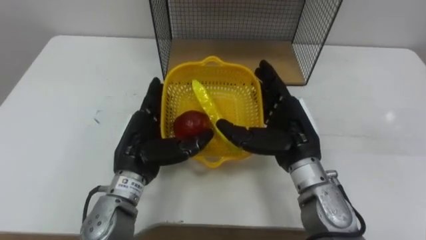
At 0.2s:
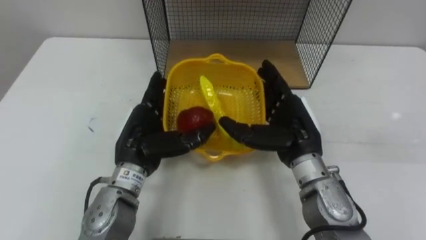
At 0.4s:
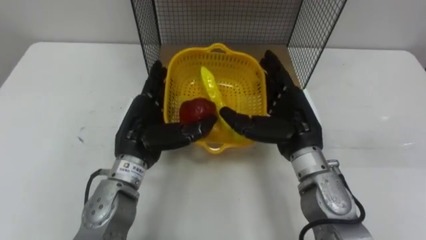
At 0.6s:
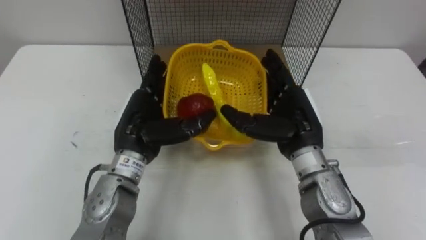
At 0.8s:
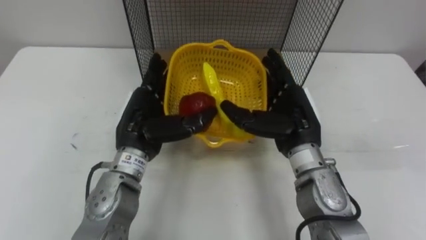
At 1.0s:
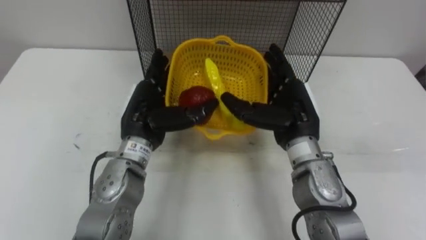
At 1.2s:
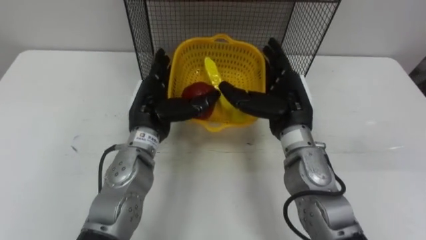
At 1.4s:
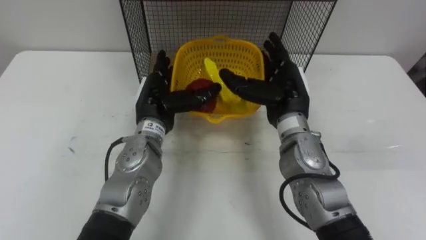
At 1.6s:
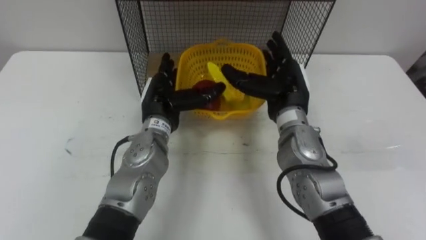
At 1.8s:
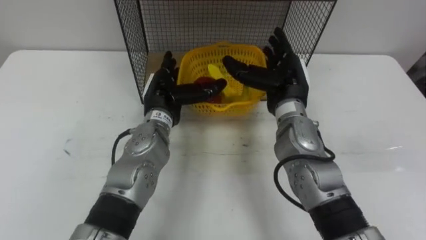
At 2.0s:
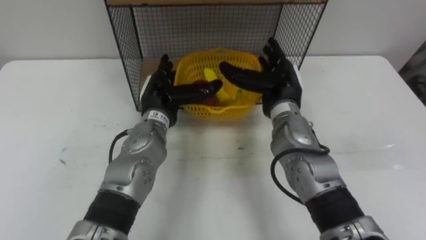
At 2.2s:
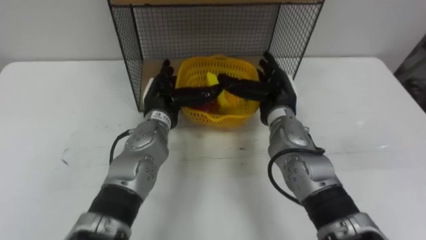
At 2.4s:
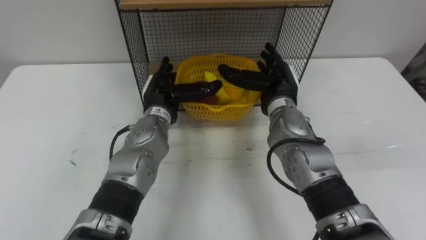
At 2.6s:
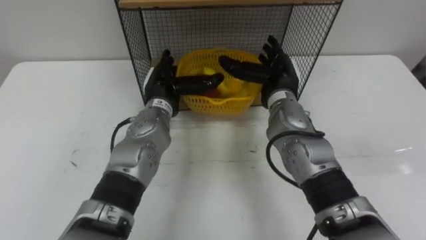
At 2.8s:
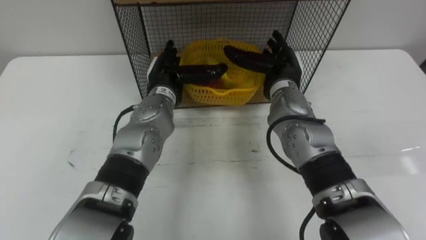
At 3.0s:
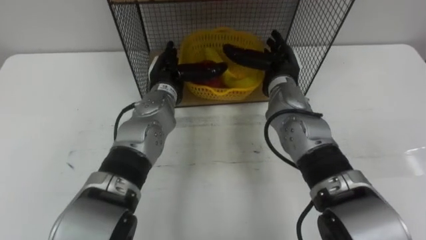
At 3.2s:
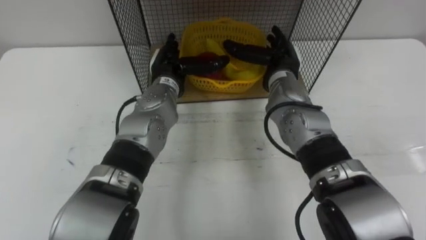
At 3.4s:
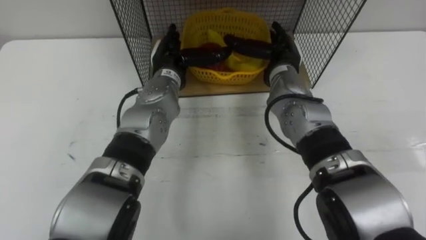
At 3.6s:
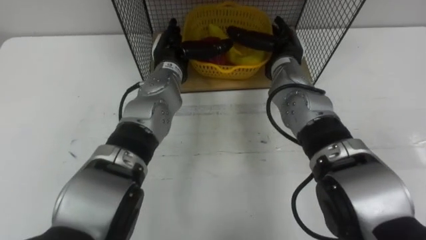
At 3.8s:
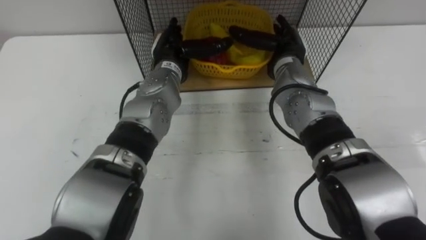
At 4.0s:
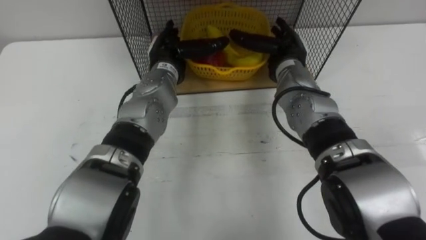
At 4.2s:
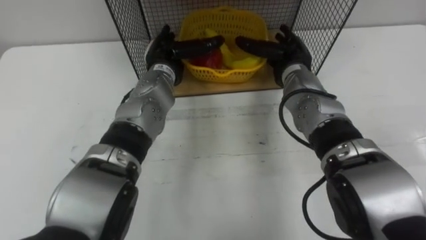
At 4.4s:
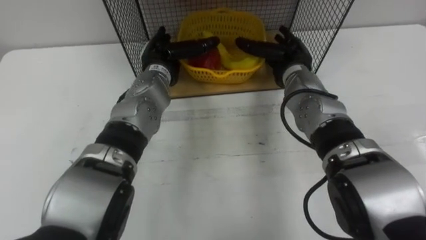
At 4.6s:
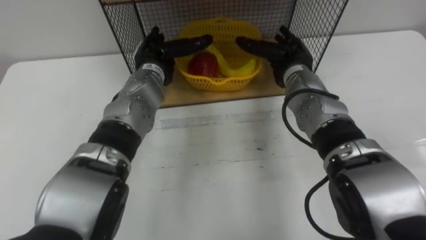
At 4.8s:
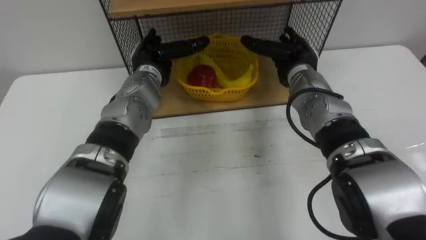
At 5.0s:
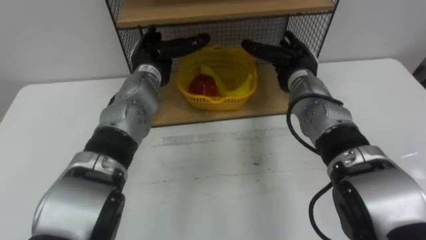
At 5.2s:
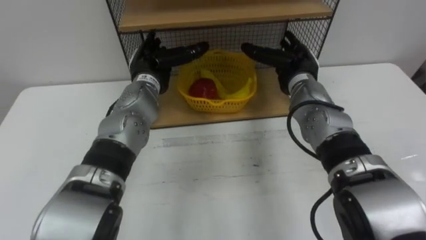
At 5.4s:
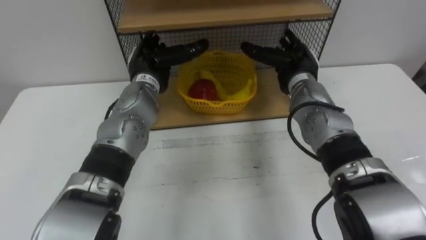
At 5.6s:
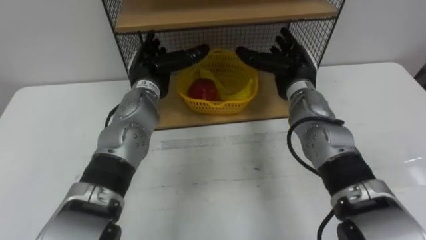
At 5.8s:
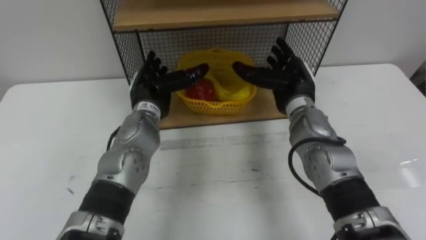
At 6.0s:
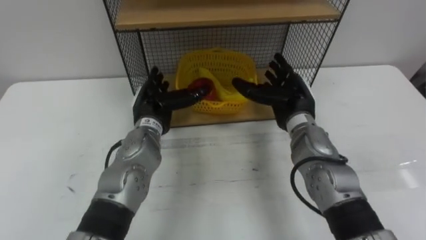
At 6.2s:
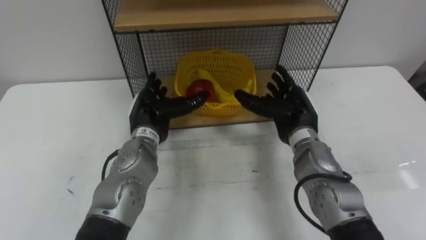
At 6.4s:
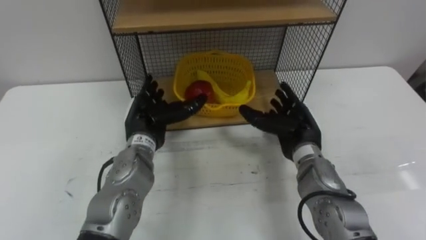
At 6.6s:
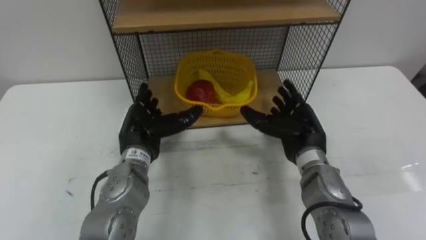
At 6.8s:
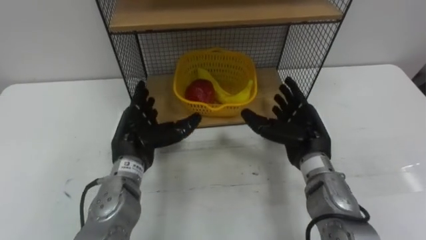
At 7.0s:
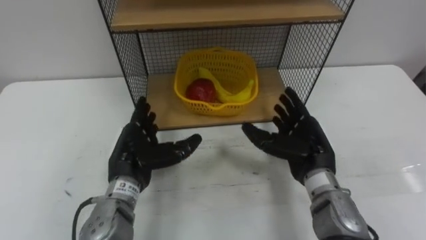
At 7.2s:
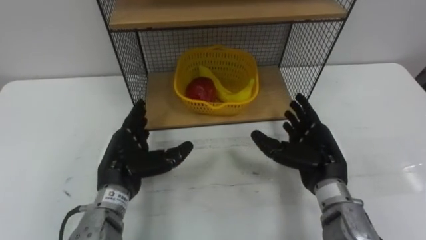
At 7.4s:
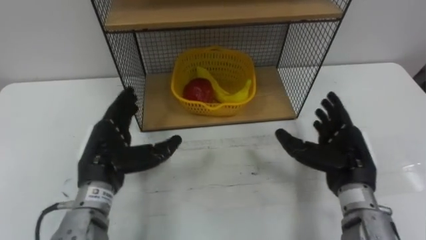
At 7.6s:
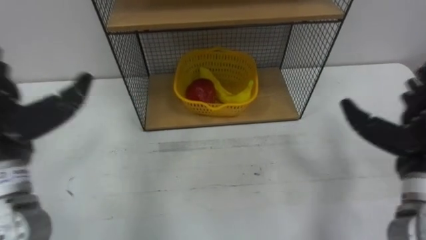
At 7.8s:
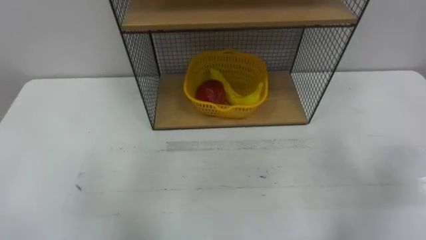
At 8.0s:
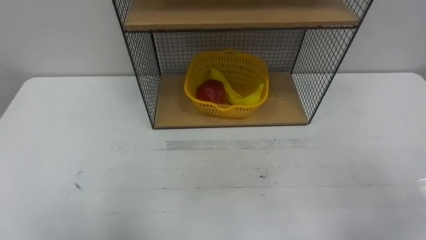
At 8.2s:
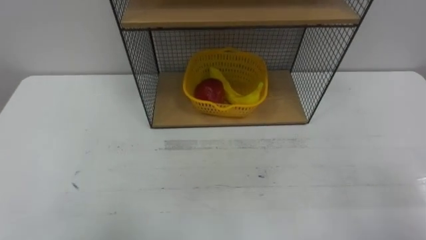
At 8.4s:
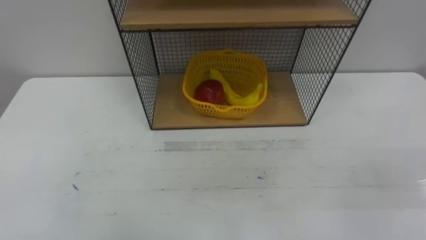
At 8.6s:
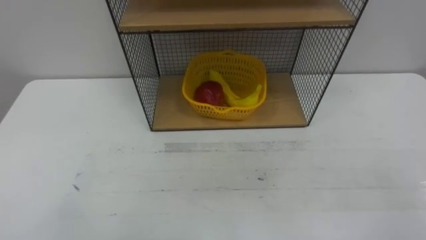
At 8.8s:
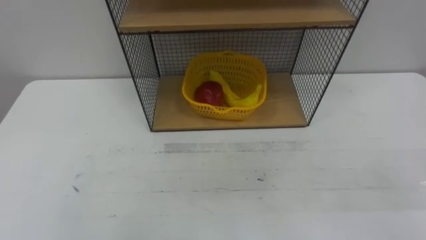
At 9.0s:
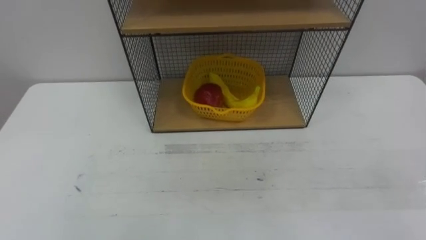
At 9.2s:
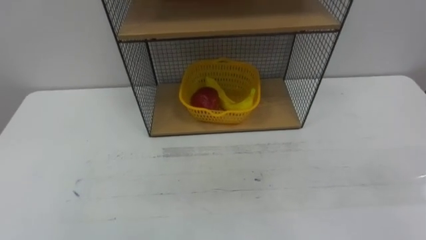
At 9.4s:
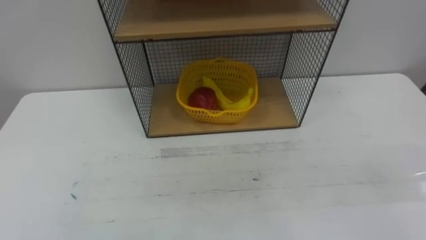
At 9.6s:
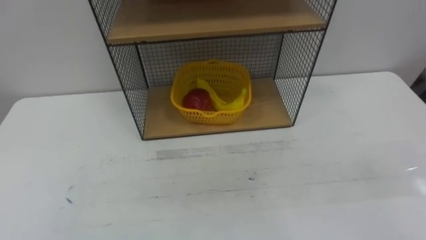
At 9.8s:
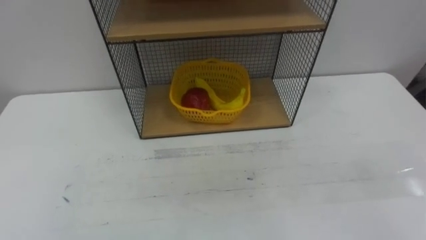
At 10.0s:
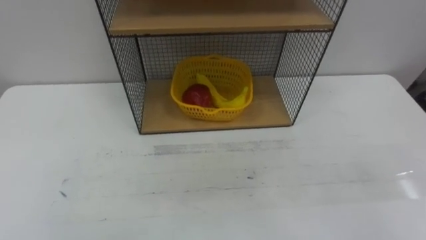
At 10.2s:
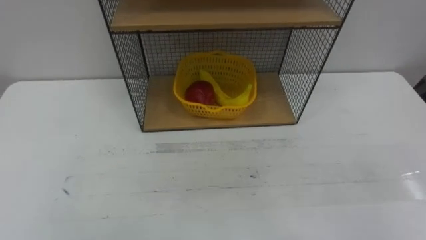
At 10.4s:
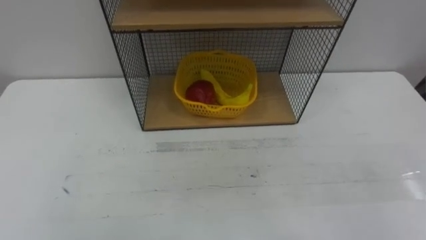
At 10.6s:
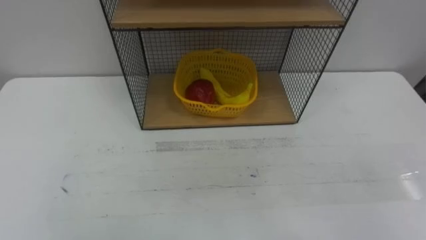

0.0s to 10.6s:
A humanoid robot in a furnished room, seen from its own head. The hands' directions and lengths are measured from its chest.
Task of the whole recording: Put the fruit on the table into the basket, then place the basket on the shelf.
0.0s to 1.6s: Both hands move forward, about 10 cm.
1.6s to 3.0s: The hands both shift forward by roughly 5 cm.
4.6s to 6.0s: The left hand travels backward and downward by some 10 cm; the right hand moves backward, about 5 cm.
6.0s to 7.6s: The right hand goes roughly 20 cm to the right and backward. Meanwhile the left hand heads to the left, backward and upward, covering approximately 25 cm.

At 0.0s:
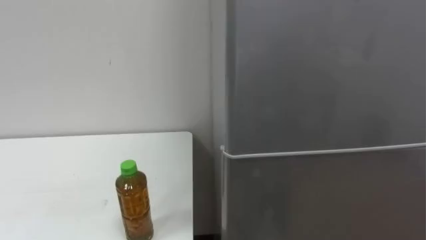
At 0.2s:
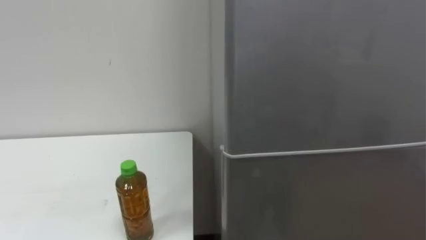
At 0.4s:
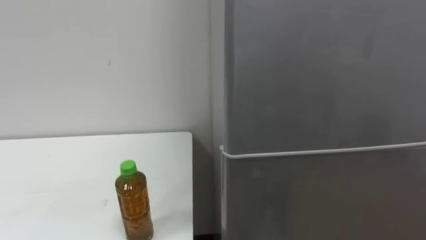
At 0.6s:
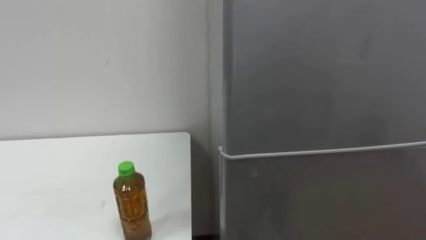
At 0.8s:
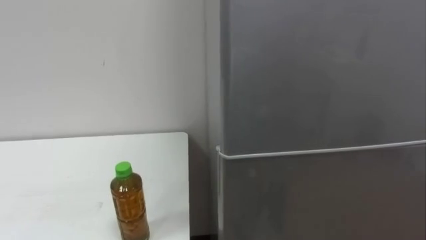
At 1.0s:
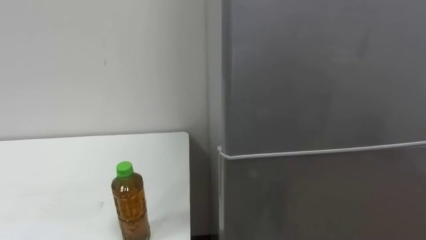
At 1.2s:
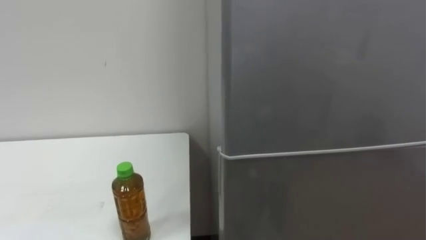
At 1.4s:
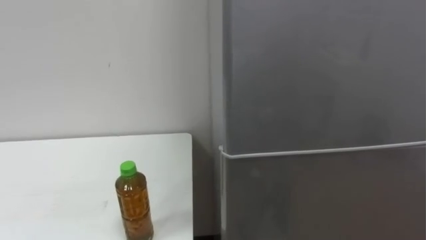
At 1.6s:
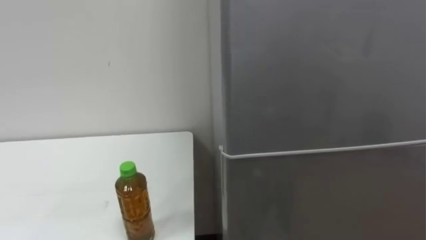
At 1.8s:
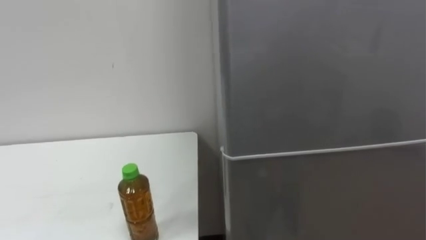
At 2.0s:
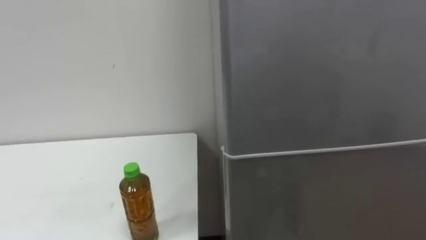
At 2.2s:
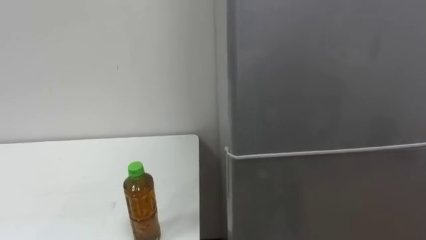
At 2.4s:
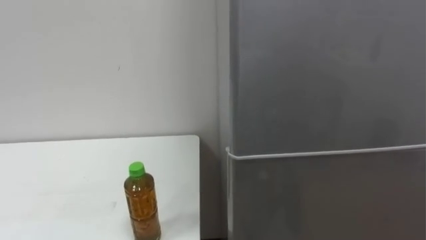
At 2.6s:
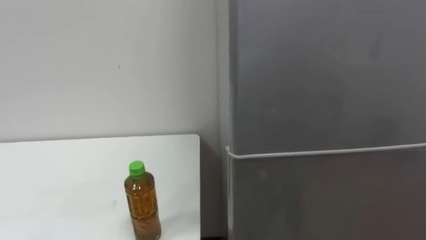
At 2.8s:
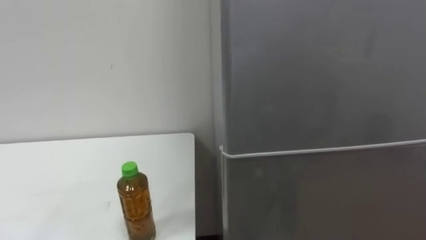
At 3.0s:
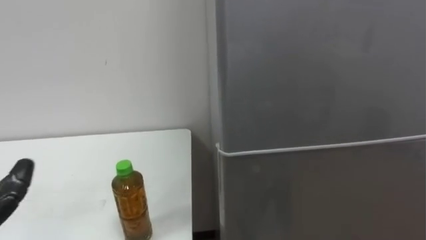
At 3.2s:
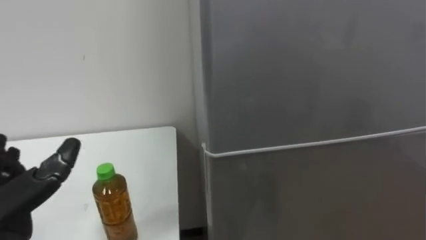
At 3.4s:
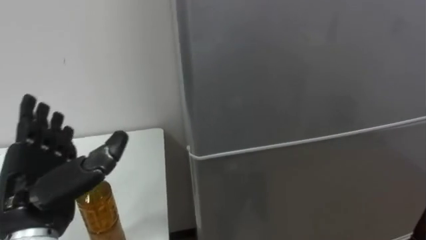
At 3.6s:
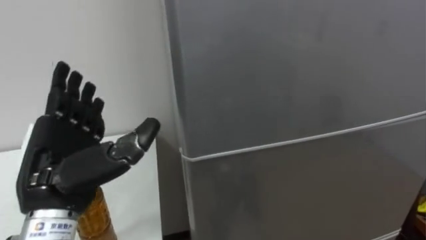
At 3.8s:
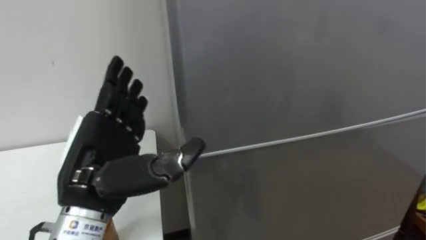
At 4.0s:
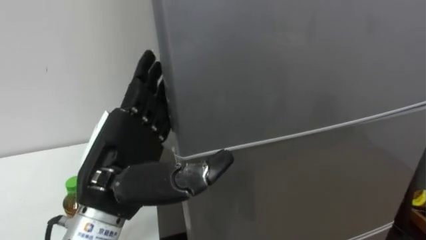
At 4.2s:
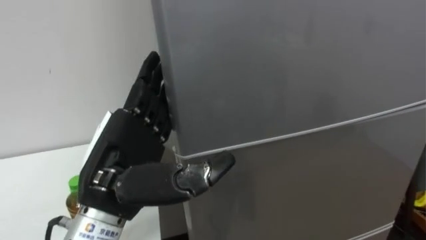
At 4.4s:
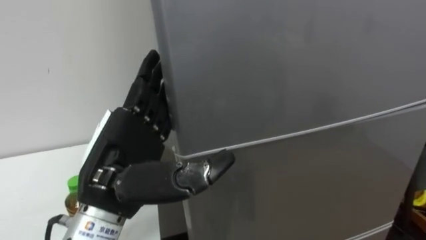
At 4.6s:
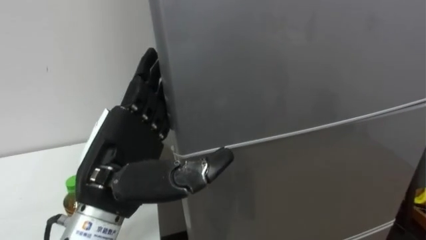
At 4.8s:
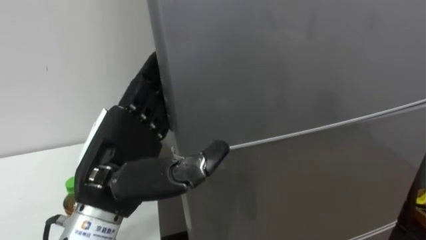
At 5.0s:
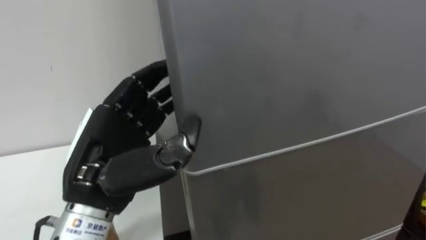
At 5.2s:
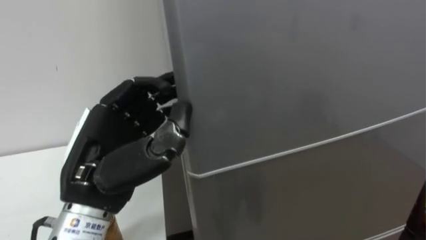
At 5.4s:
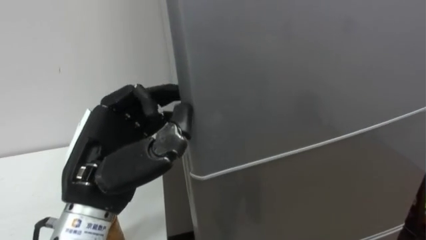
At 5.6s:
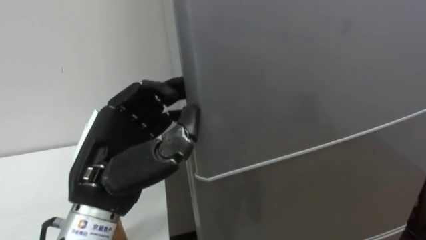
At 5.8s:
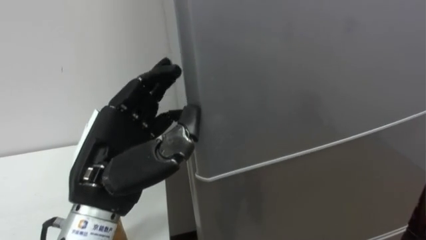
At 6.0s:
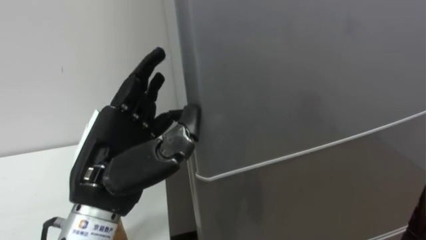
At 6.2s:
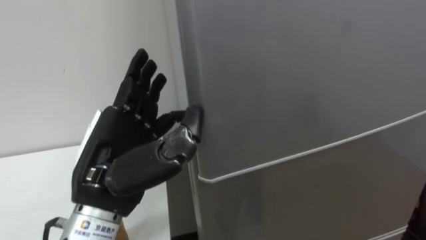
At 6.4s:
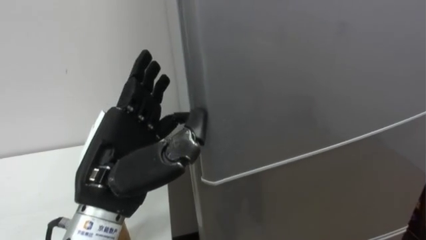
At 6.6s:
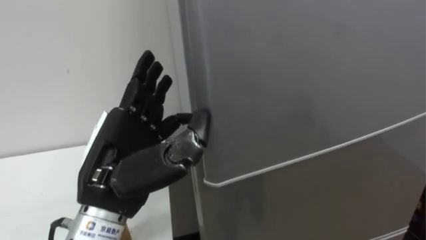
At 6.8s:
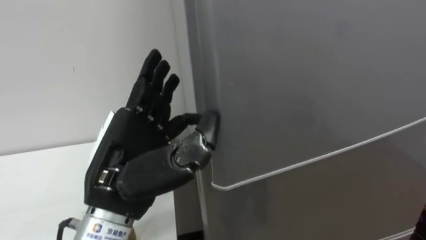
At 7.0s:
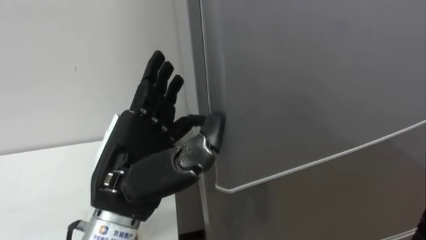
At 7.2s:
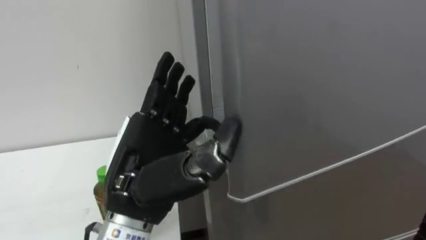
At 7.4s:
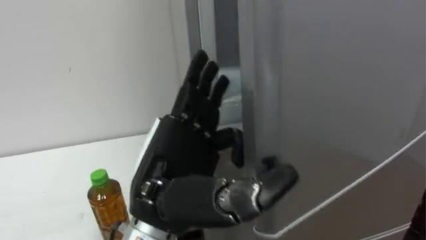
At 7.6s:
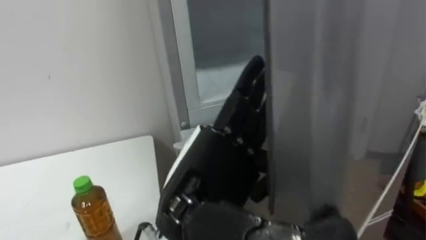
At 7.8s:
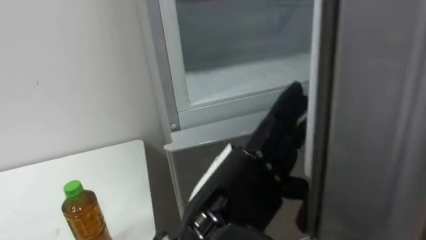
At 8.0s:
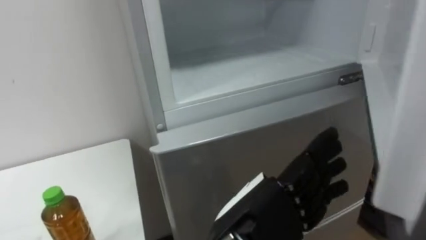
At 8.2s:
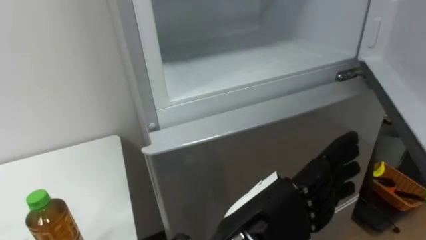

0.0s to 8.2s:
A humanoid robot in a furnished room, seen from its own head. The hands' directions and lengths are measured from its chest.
Task of the whole recording: Open the upper refrigerator door, put the drink from the table into the refrigerator, and then close the refrigerator door.
6.6s to 8.2s: The left hand travels to the right by roughly 15 cm.
